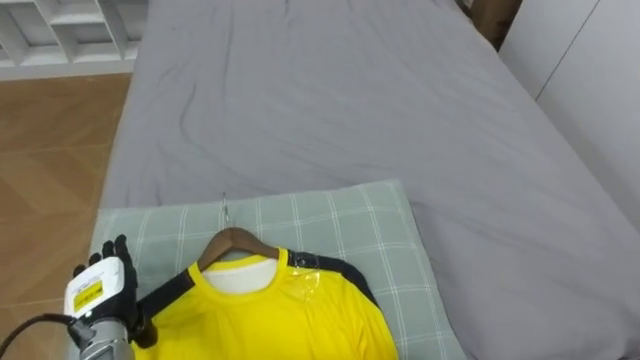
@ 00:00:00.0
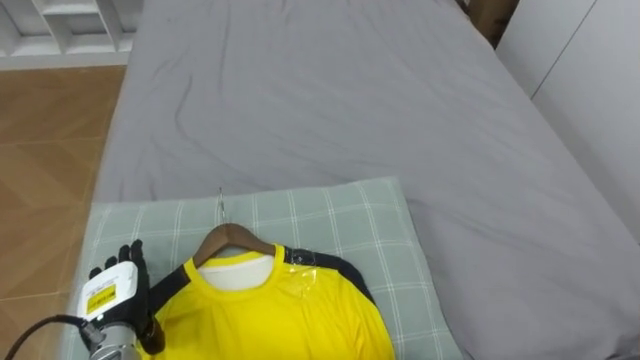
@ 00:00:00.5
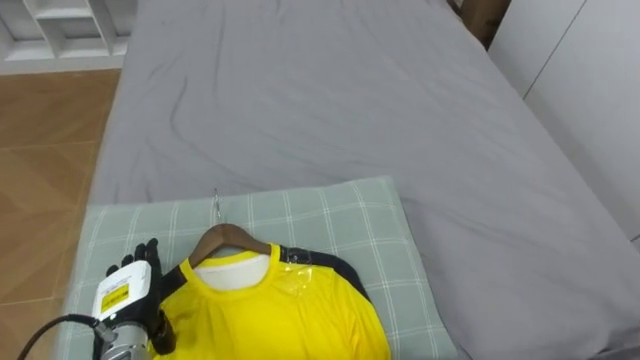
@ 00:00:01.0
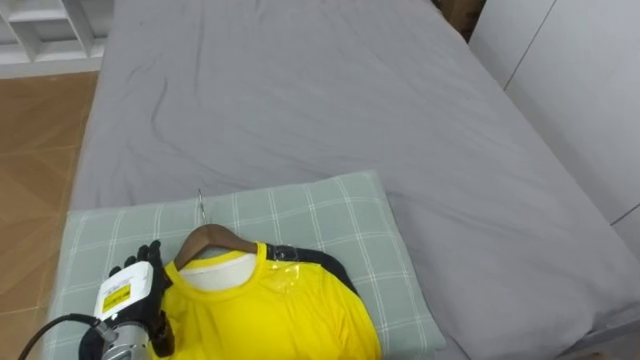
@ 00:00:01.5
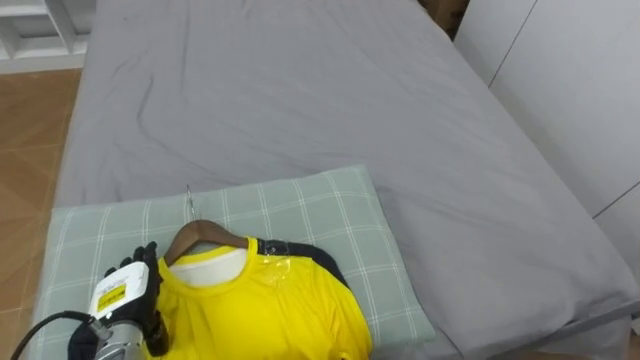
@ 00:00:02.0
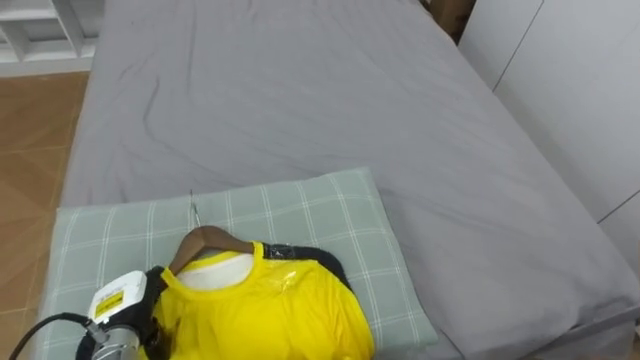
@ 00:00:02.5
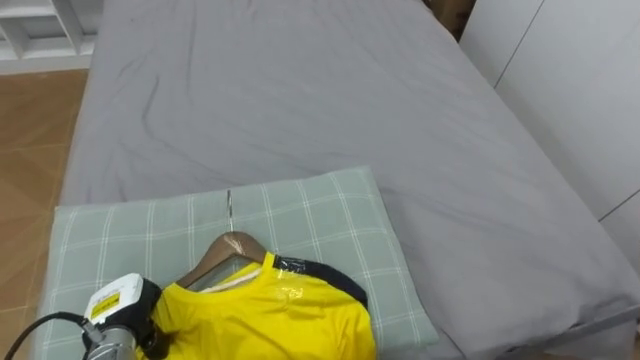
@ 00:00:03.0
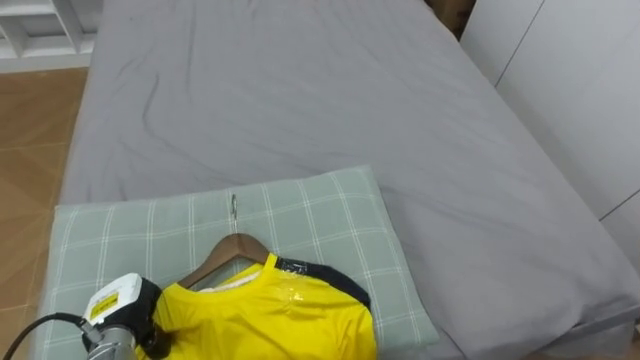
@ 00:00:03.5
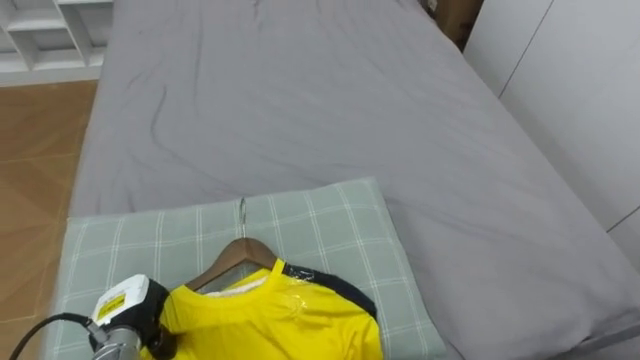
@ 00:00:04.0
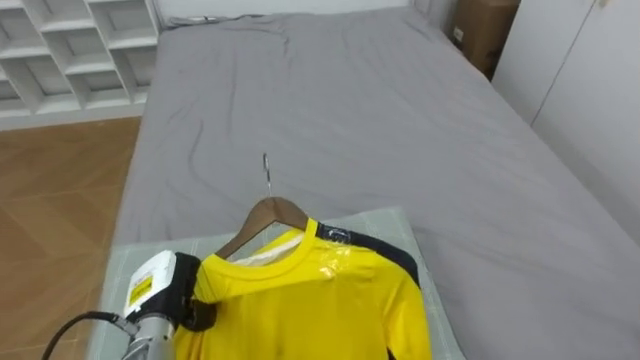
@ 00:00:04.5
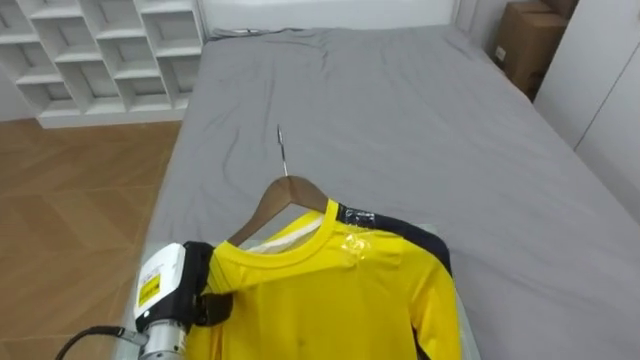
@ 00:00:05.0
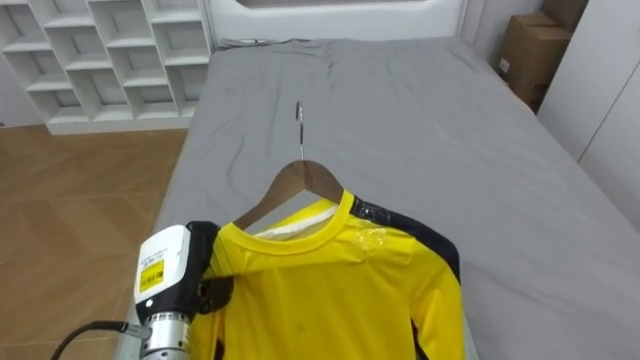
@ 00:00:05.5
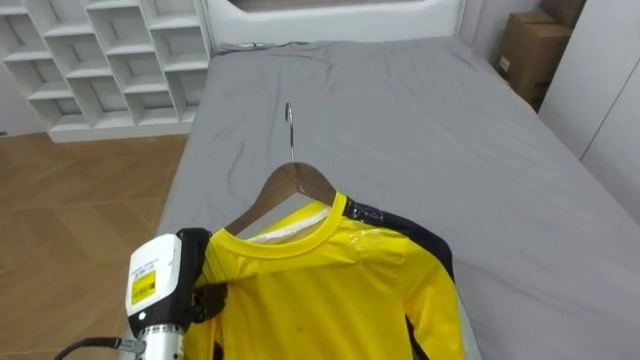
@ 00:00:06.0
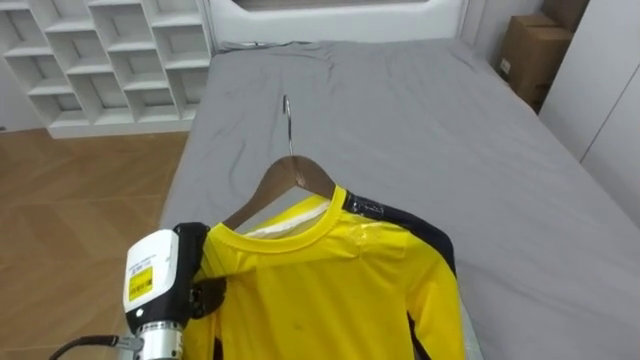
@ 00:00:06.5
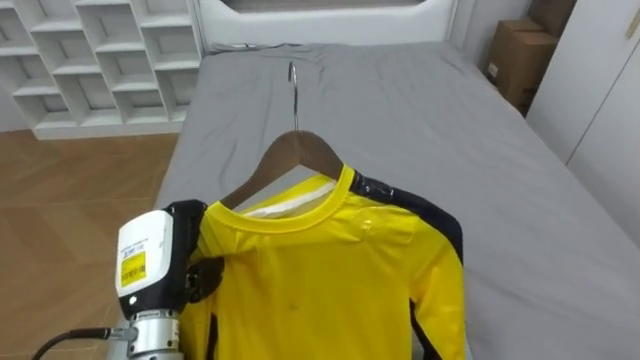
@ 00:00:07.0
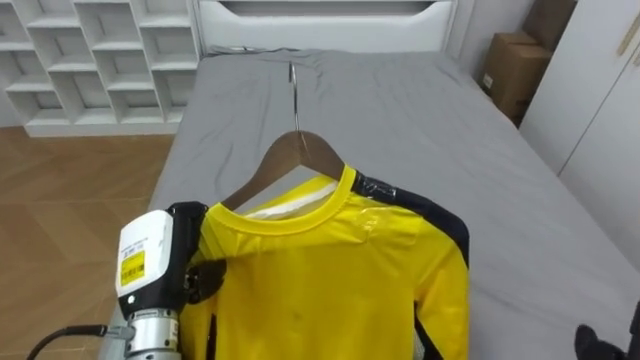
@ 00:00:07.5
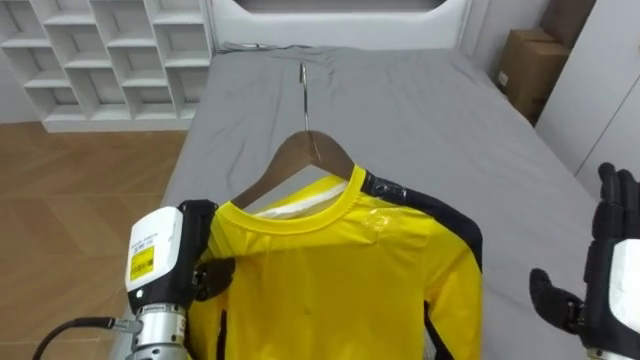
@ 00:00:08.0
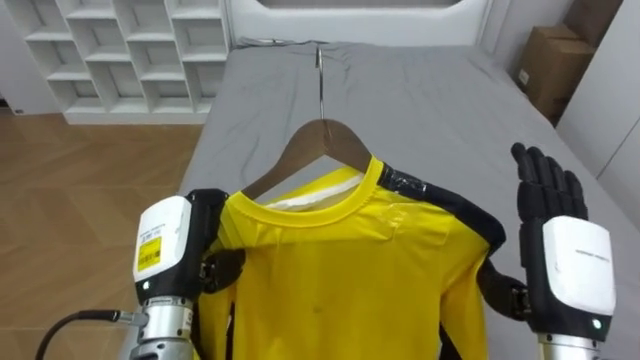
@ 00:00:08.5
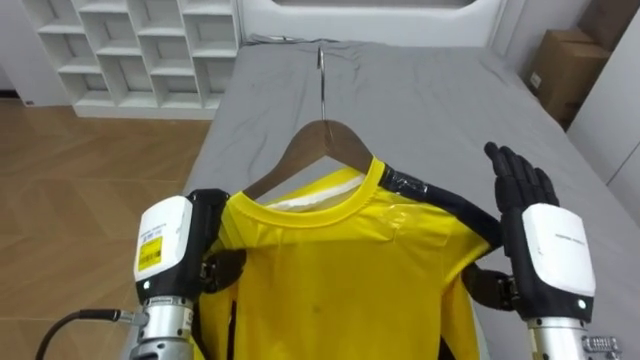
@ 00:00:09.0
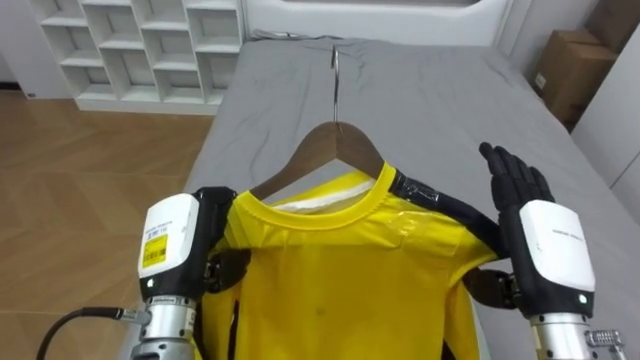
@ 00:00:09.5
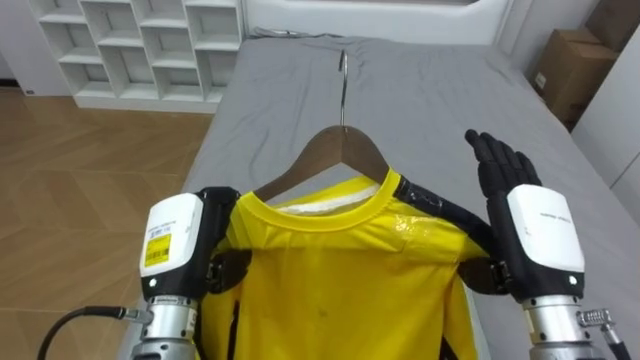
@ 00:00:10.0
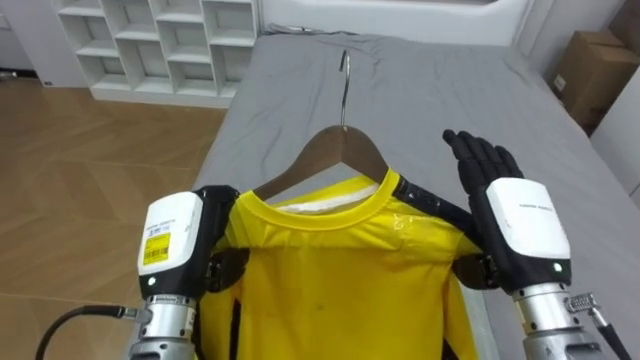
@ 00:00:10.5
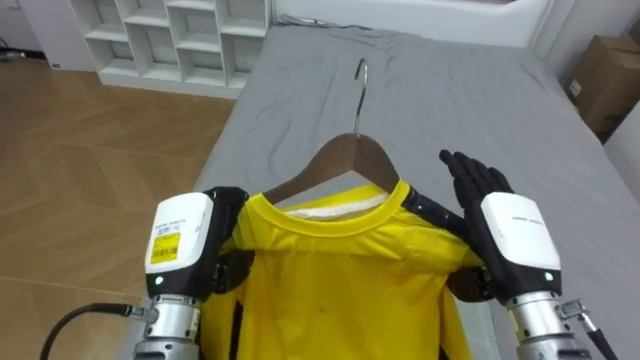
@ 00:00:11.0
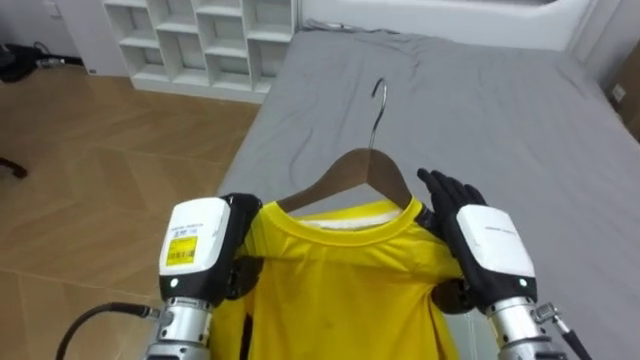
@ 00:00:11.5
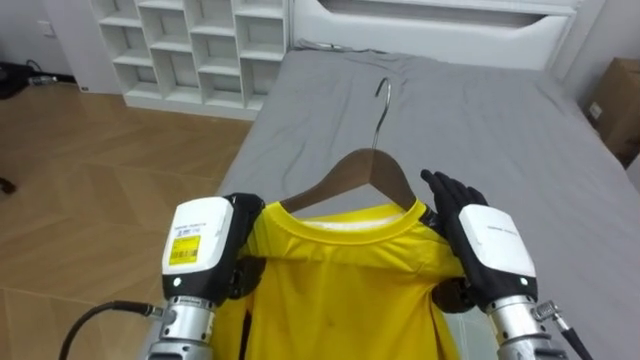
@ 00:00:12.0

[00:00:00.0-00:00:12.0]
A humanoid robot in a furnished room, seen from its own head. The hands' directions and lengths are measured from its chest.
Task of the whole recording: Pick up the yellow shirt on the bed and hang it on the clothes rack on the right.
00:00:02.0 to 00:00:04.0: The left hand closes.
00:00:04.0 to 00:00:06.0: The left hand goes some 10 cm upward and to the right.
00:00:08.0 to 00:00:10.0: The right hand shifts some 10 cm to the left.
00:00:10.0 to 00:00:12.0: The right hand ends up some 5 cm from where it was.

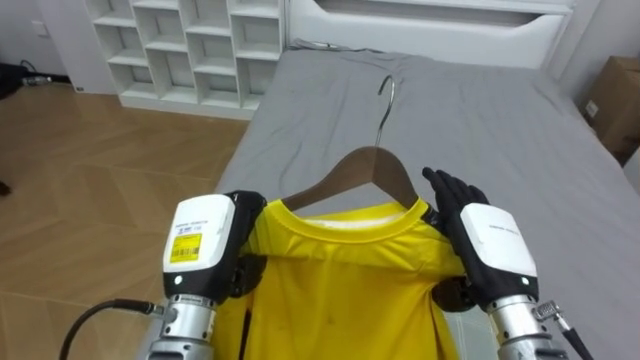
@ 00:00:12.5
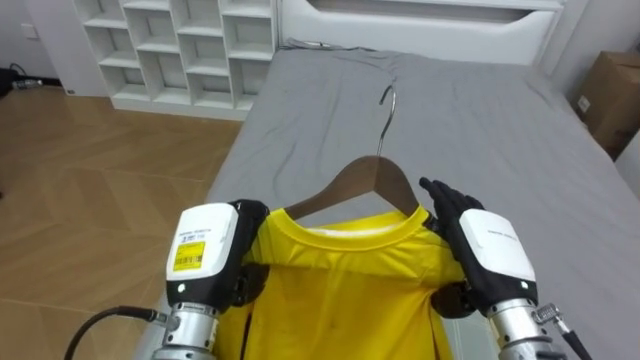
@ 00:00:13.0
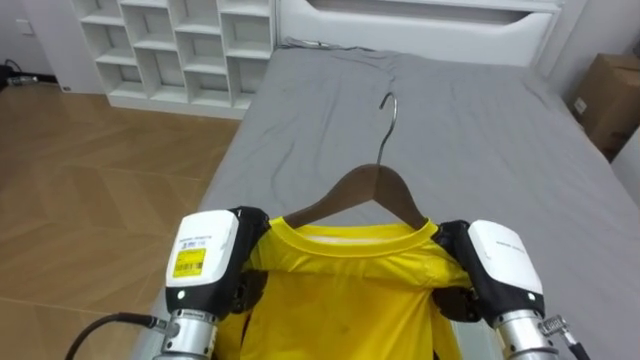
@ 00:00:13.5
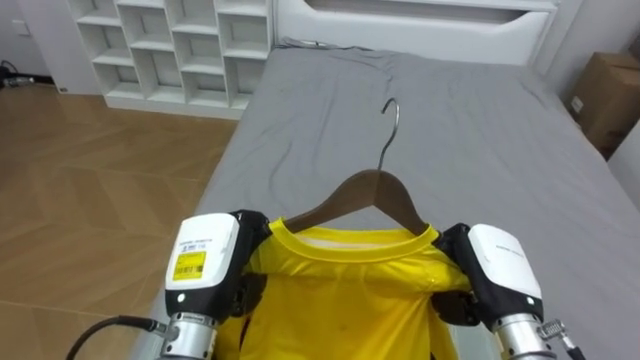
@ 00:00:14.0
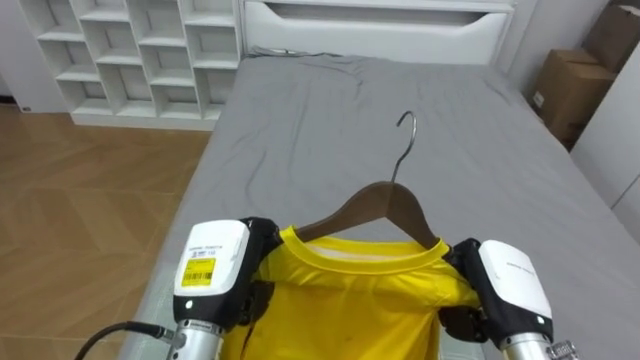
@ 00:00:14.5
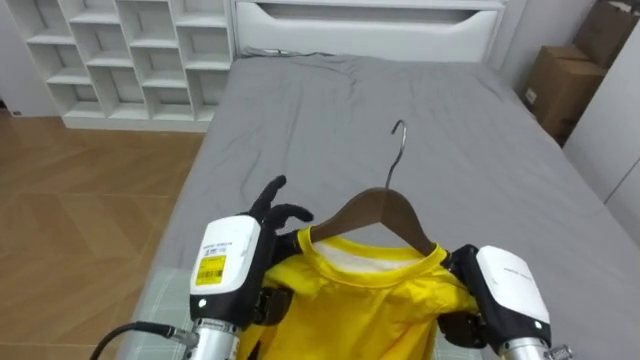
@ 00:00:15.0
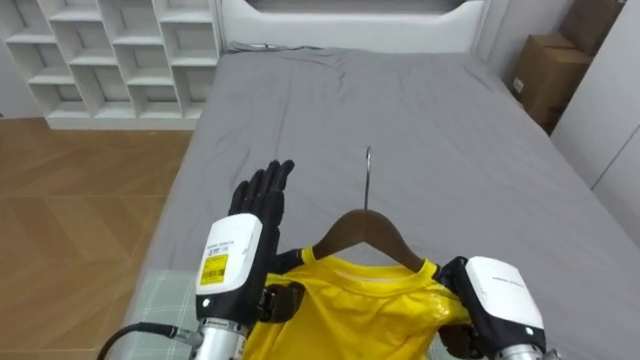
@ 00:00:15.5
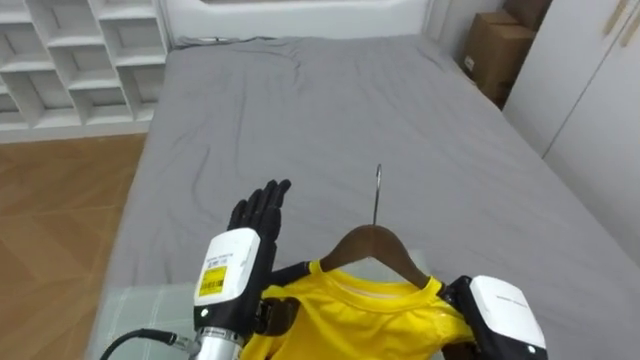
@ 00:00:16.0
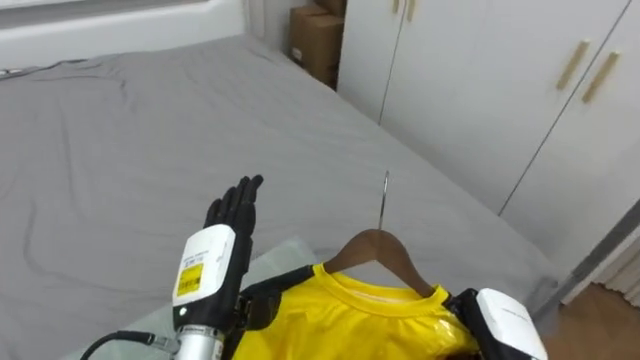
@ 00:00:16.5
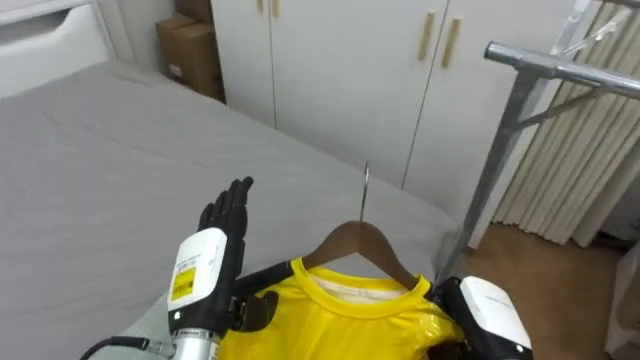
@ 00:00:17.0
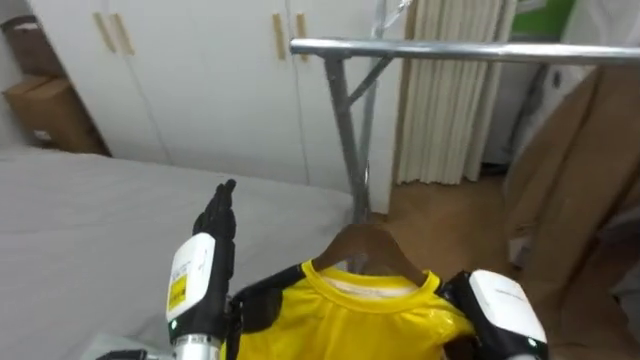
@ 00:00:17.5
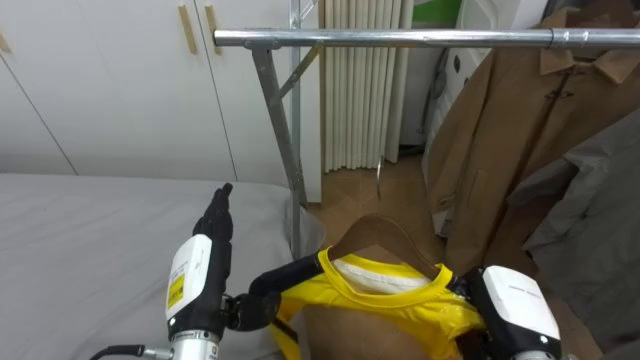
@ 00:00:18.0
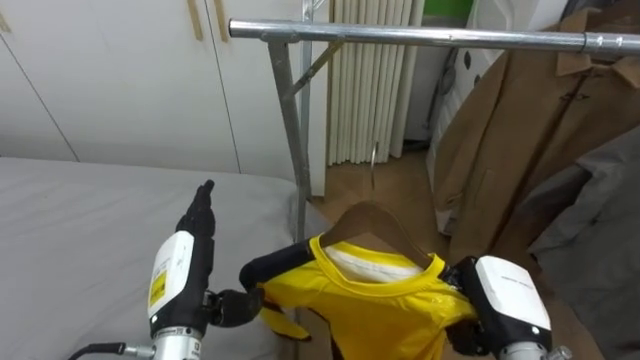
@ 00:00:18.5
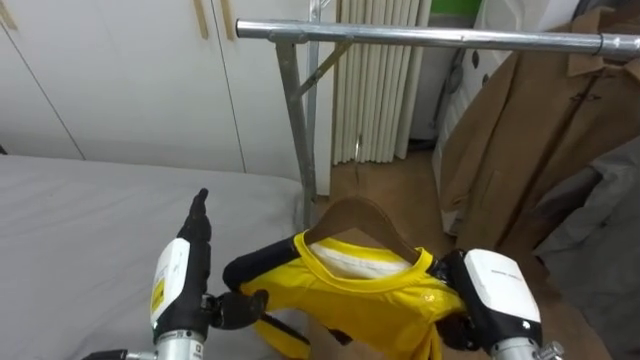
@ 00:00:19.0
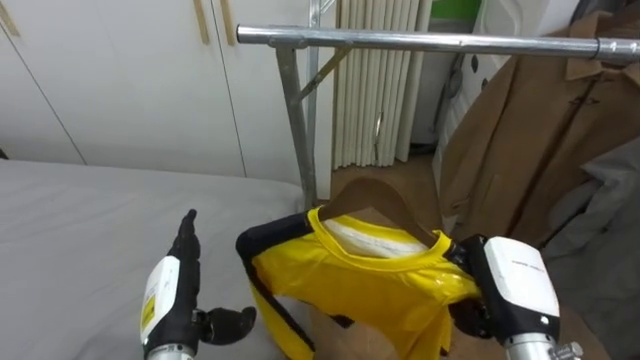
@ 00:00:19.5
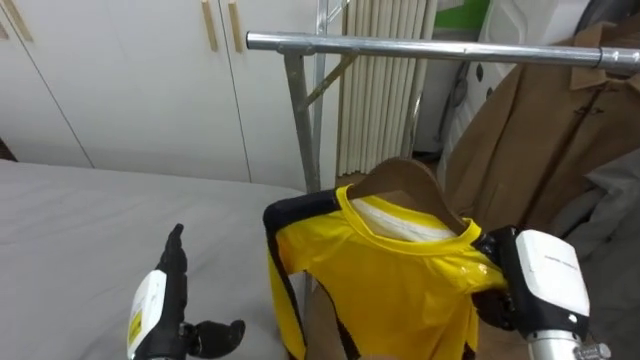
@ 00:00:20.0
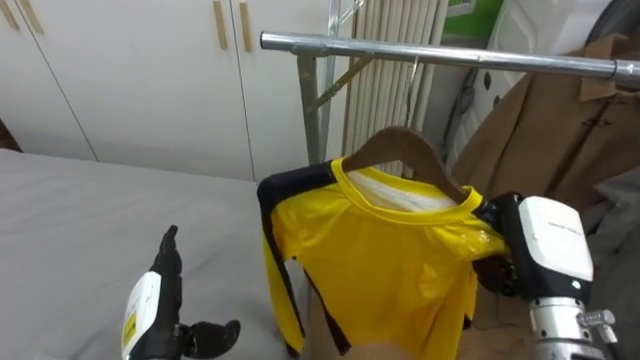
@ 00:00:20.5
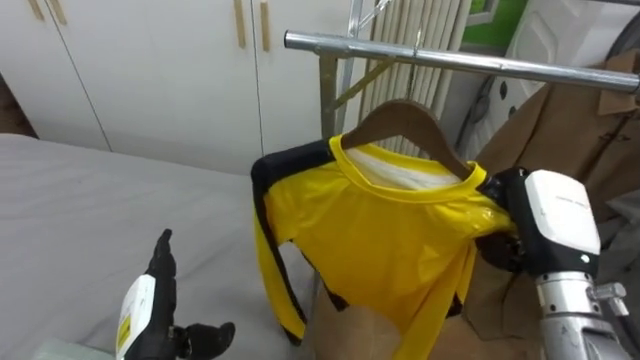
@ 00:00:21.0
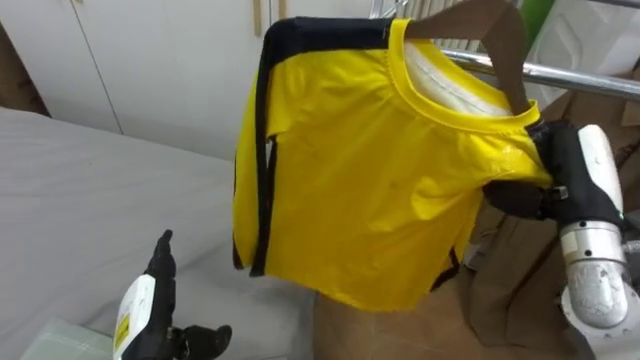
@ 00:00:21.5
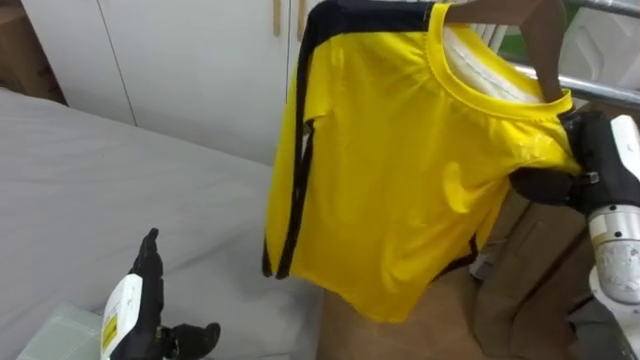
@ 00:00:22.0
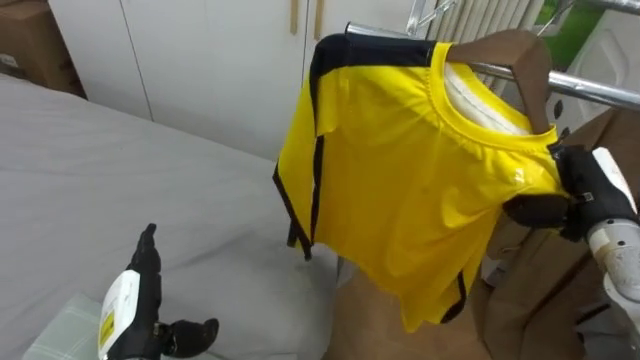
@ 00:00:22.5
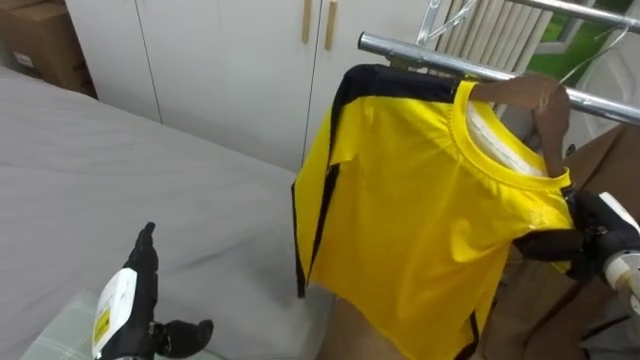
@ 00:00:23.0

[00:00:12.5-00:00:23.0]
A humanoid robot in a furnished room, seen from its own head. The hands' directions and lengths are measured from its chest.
Task of the whole recording: Pick up the yellow shirt on the bed and hang it on the clothes rack on the right.
00:00:12.5 to 00:00:14.5: The right hand ends up roughly 5 cm from where it was, and closes its fingers.
00:00:14.5 to 00:00:16.5: The robot turns to its right by about 40 degrees. The right hand goes about 5 cm downward; the left hand opens up.
00:00:16.5 to 00:00:19.0: The robot faces approximately 50 degrees further to its right. The right hand moves upward, roughly 5 cm.
00:00:19.0 to 00:00:21.0: The right hand shifts about 10 cm upward. Meanwhile the left hand changes place by about 5 cm.
00:00:21.0 to 00:00:23.0: The right hand goes some 10 cm to the right and downward.
